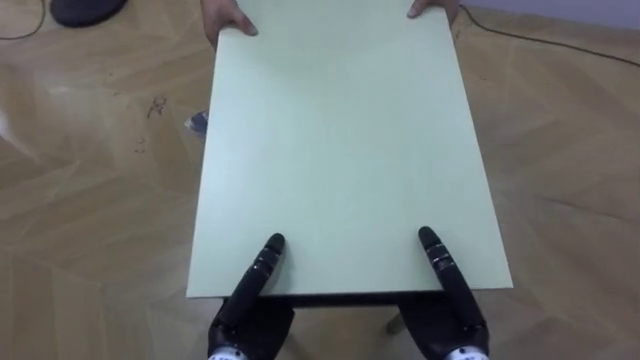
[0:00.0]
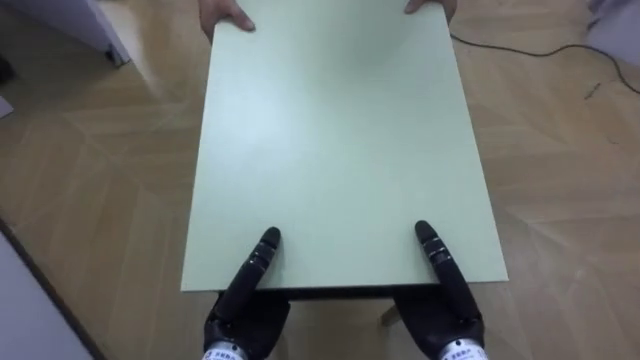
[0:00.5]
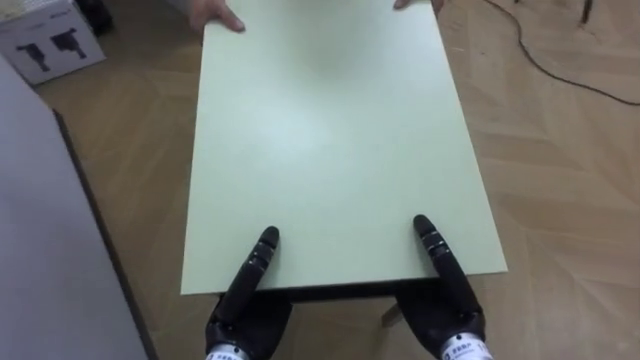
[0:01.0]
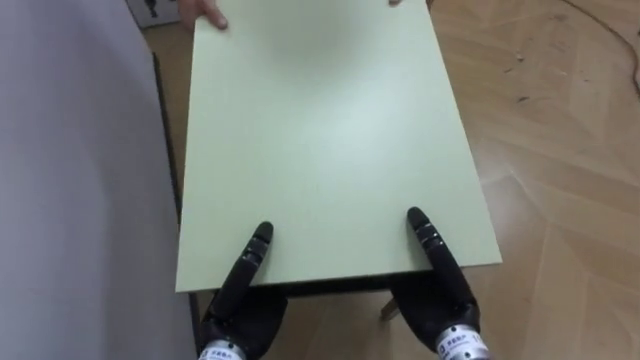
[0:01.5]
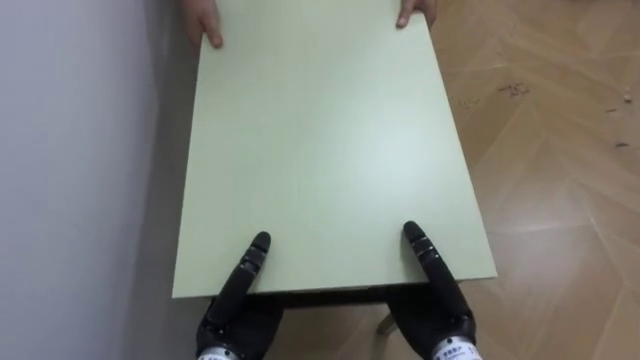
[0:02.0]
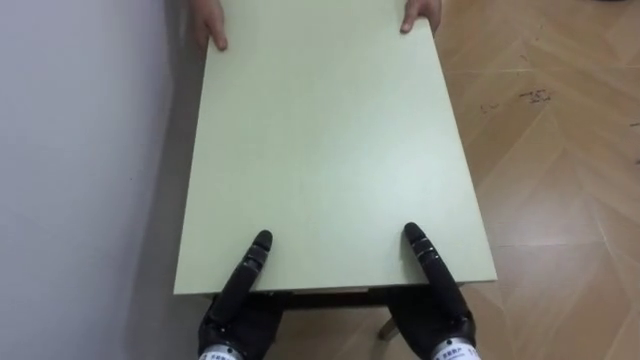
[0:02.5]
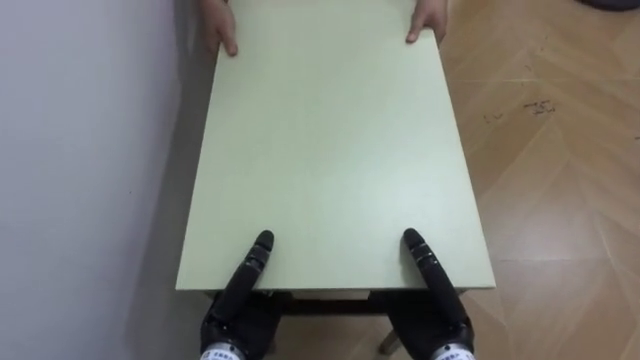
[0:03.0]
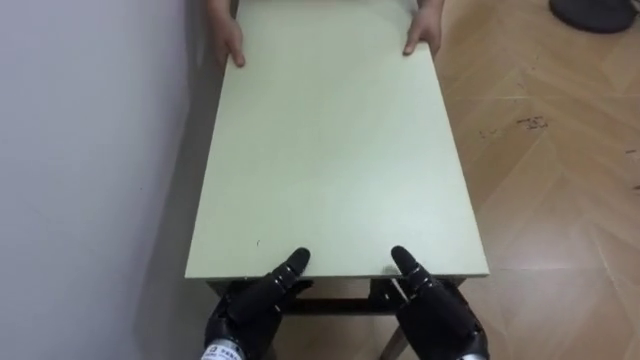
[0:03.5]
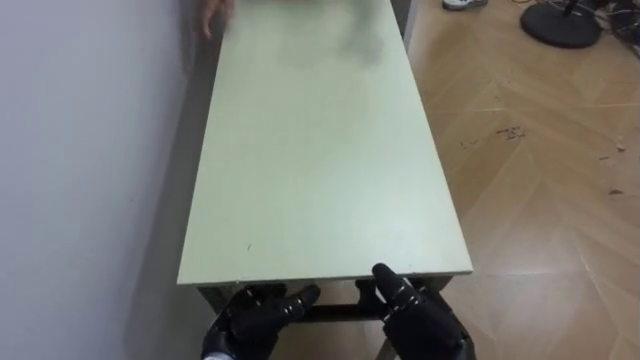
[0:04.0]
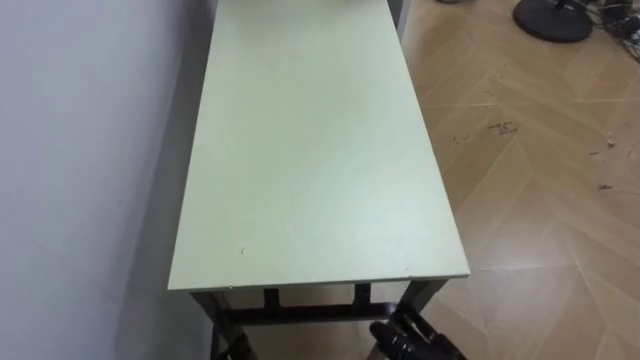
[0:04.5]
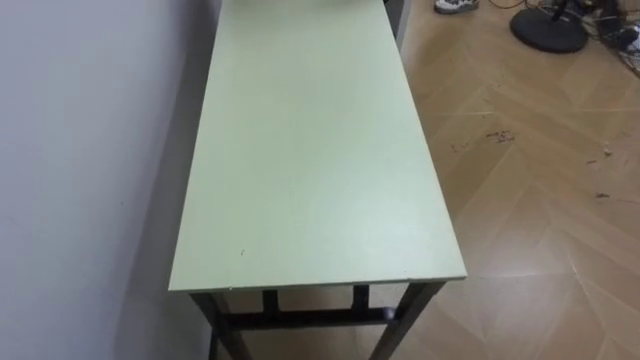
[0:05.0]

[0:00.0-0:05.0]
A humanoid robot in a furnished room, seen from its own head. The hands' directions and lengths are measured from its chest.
Task of the whole recording: Move the table to the back left with someone.
0:00.0 to 0:02.5: The robot's body swings about 65 degrees to its left.

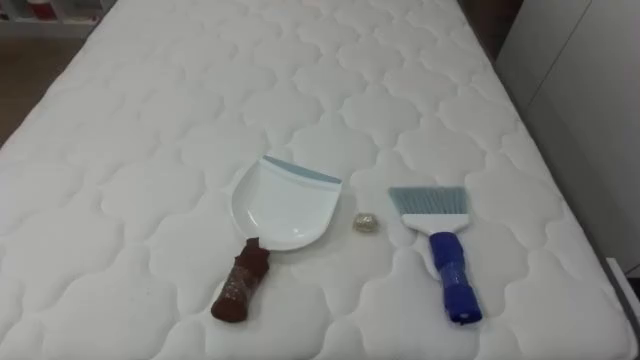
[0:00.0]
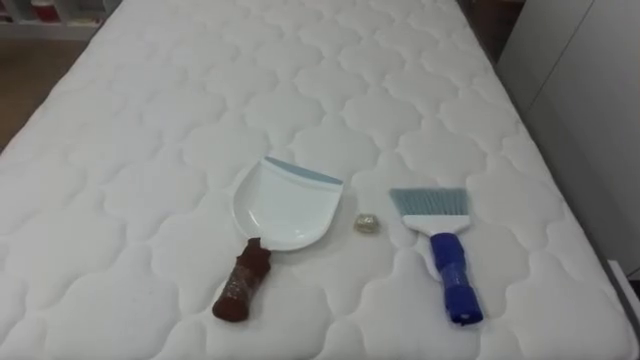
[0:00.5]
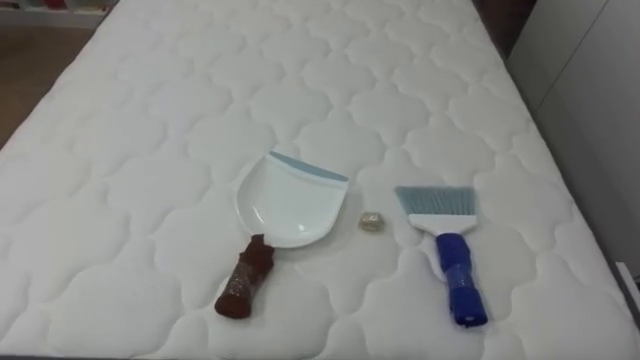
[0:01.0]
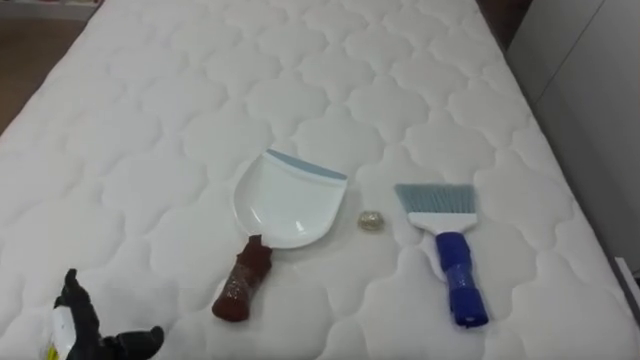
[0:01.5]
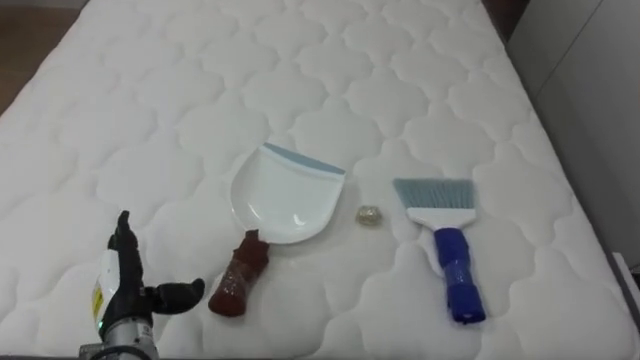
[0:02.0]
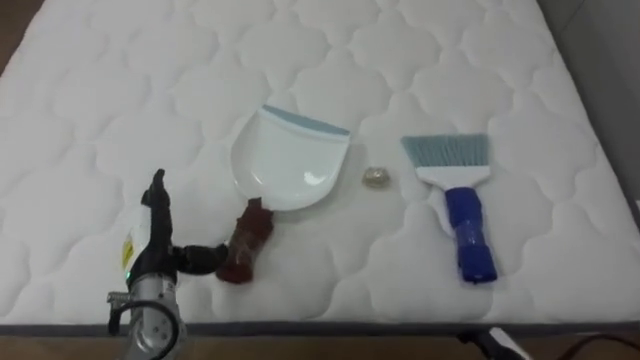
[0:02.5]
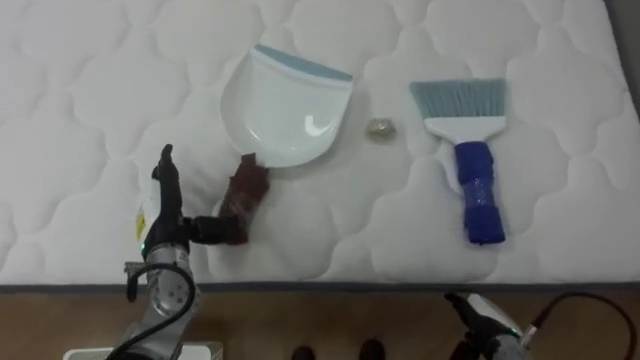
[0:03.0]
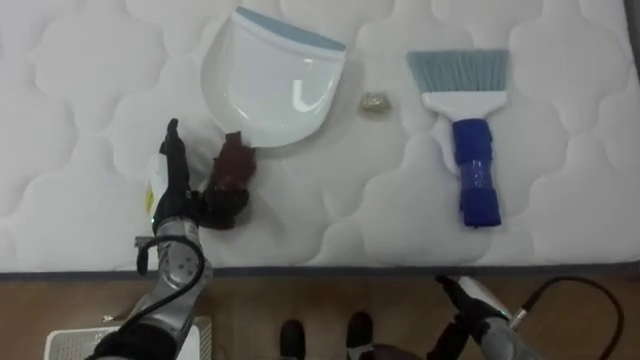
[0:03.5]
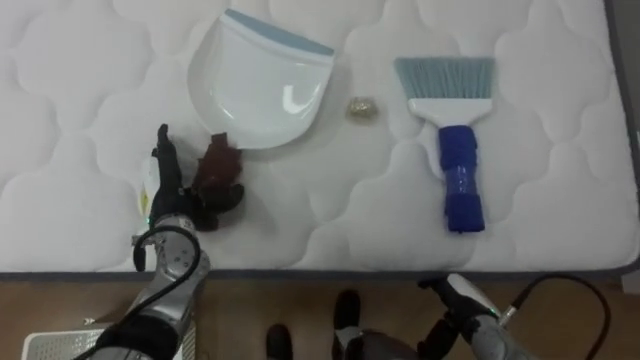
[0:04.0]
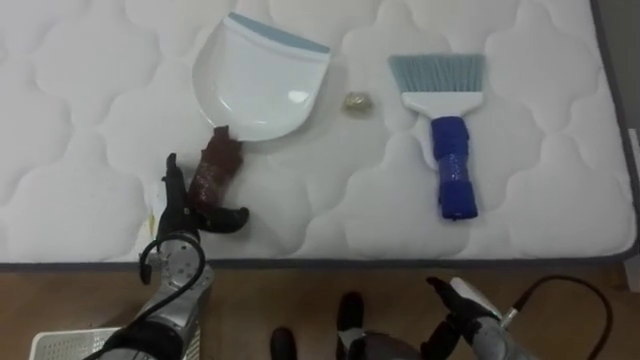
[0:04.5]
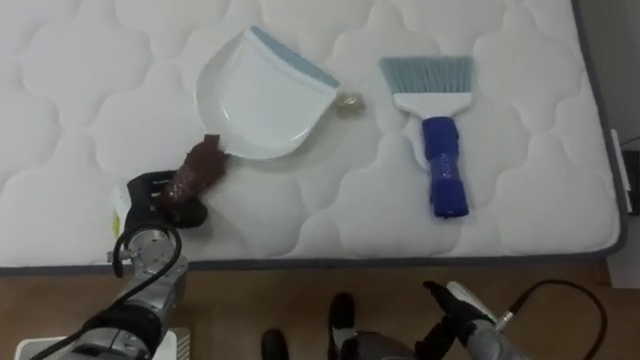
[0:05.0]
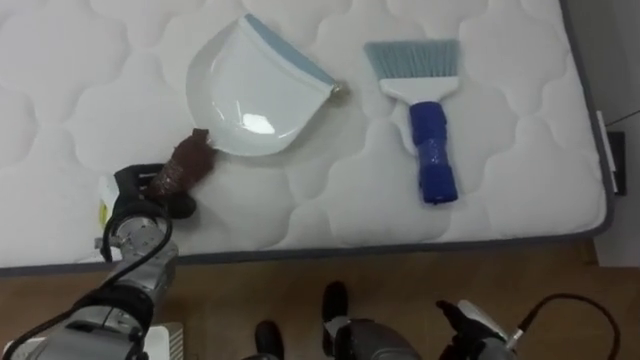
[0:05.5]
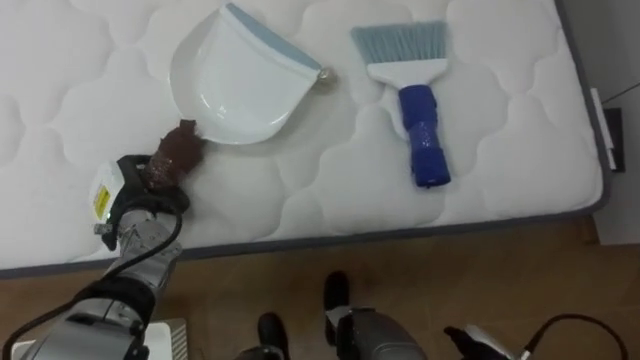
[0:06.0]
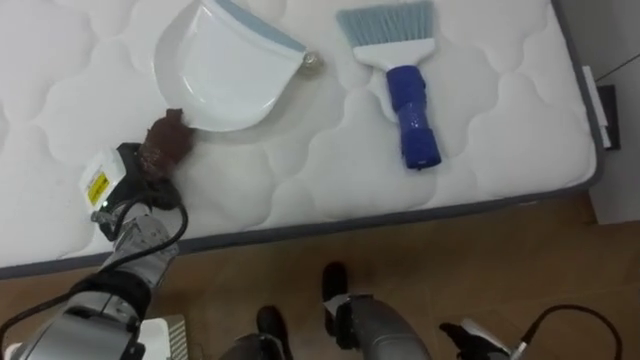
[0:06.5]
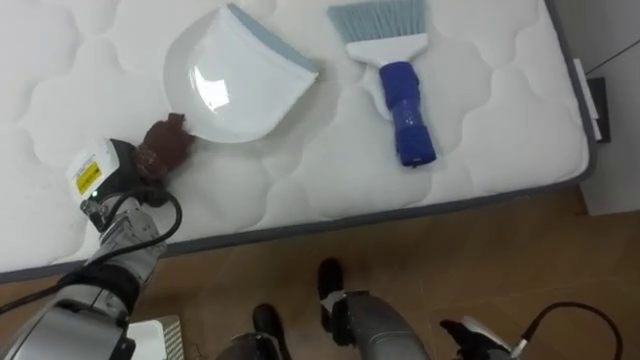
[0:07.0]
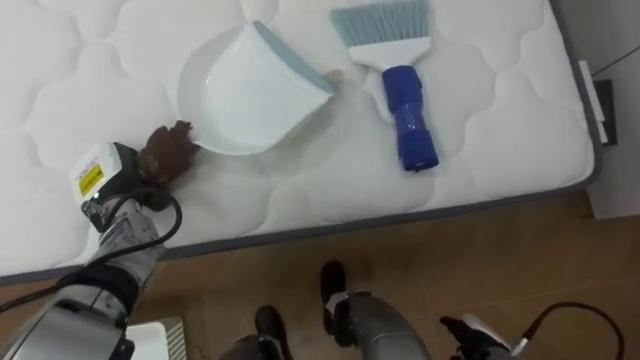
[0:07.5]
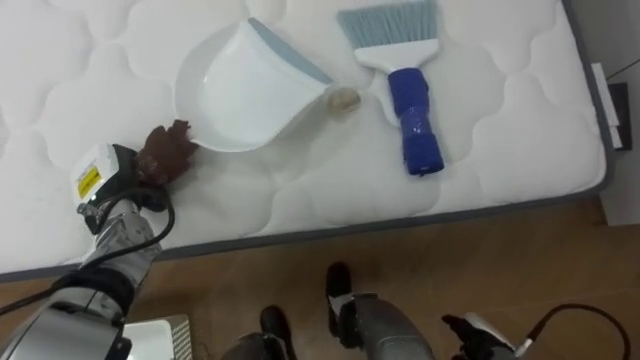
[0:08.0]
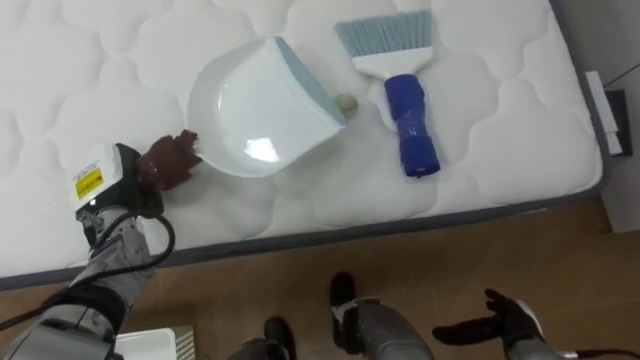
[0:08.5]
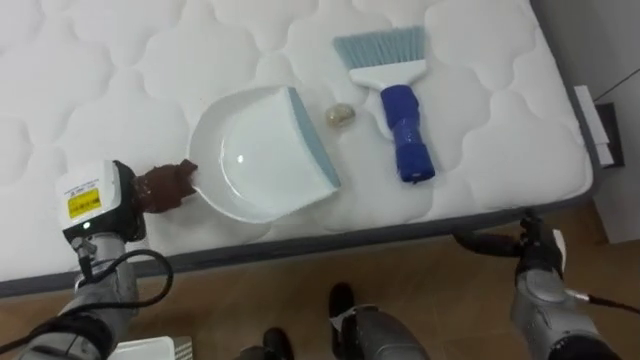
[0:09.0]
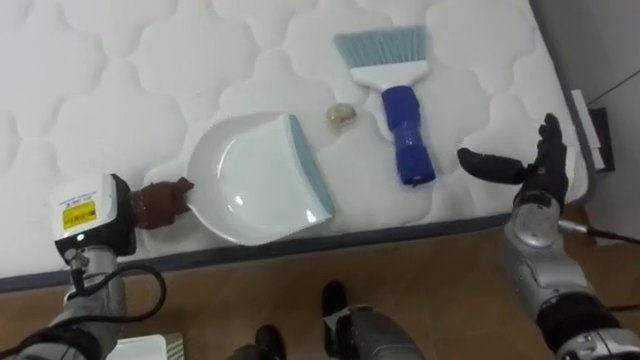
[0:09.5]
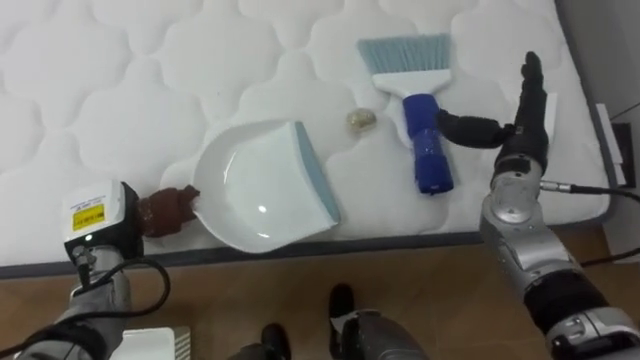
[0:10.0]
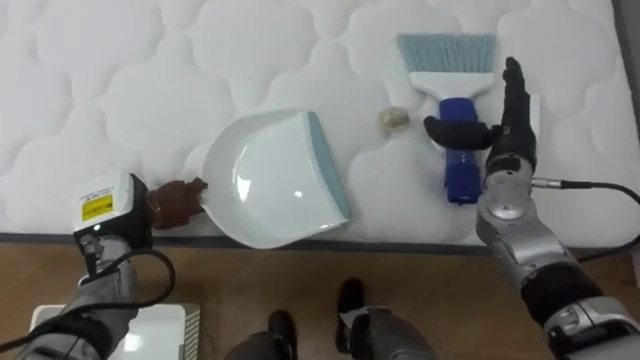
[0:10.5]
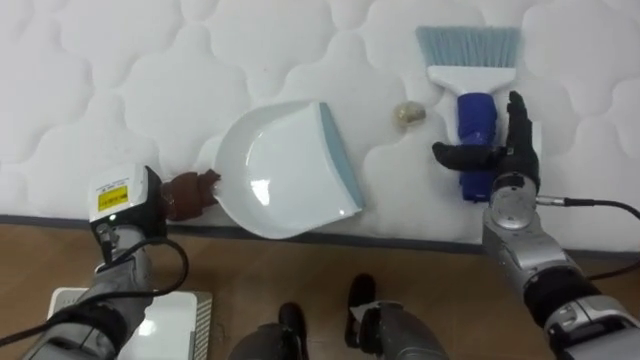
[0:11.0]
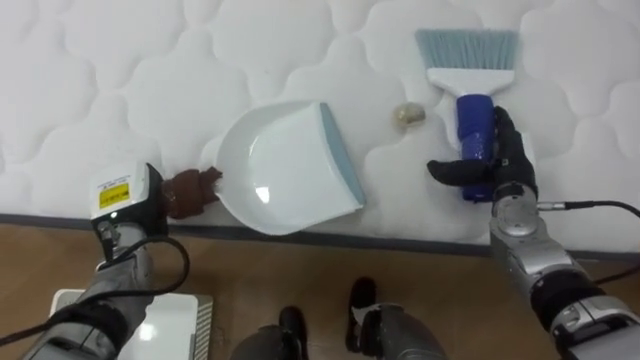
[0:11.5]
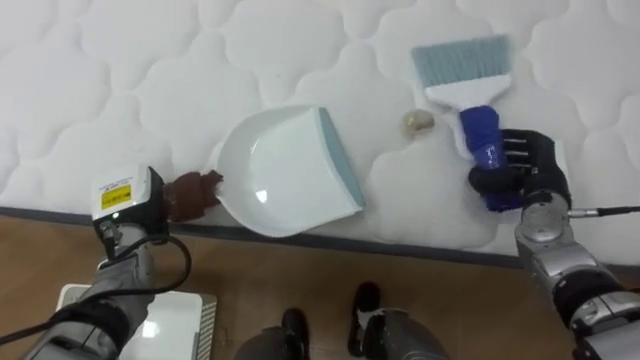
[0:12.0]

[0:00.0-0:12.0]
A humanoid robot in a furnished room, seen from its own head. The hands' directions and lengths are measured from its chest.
Task of the whole recording: Pick up the brush on your right and the dustpan on your left. Use the brush to sweep the crumpled paper on the bed into the dustpan, then turn left and empty it into the basket.
0:02.0 to 0:04.0: The left hand moves forward, to the right and upward, about 15 cm.
0:04.0 to 0:06.0: The left hand goes about 5 cm to the left, and closes and opens again.
0:06.0 to 0:08.0: The left hand closes.
0:08.0 to 0:10.0: The left hand changes place by about 5 cm; the right hand moves upward and forward, approximately 30 cm.
0:10.0 to 0:12.0: The right hand goes roughly 10 cm downward, and closes up.

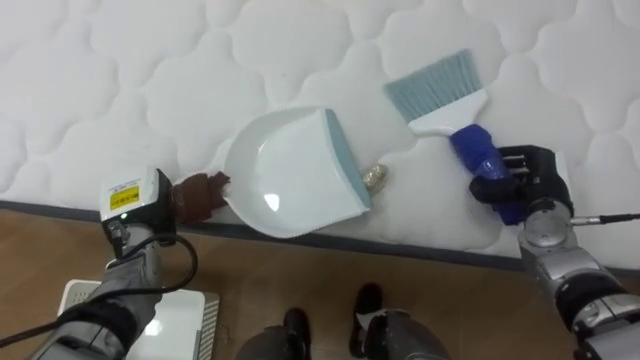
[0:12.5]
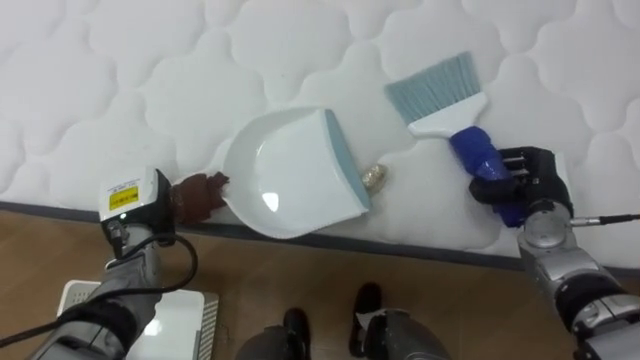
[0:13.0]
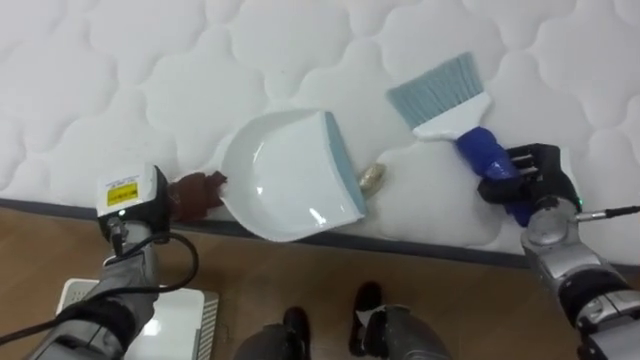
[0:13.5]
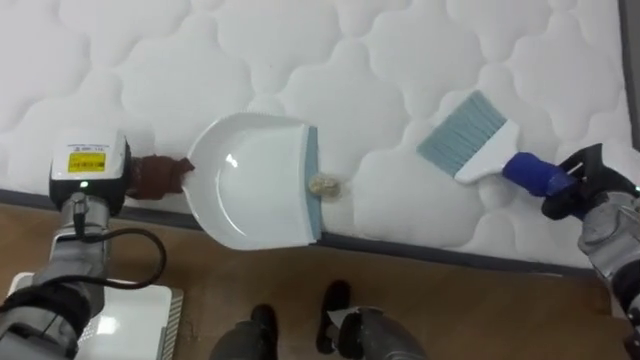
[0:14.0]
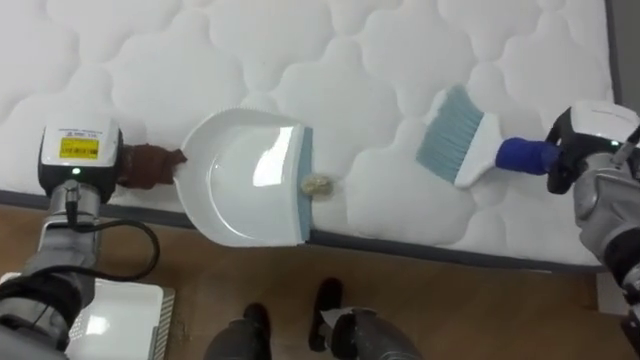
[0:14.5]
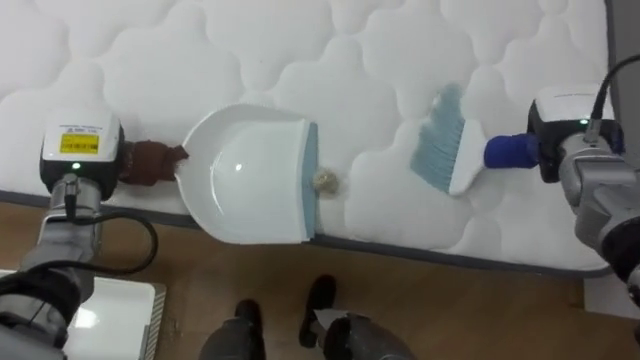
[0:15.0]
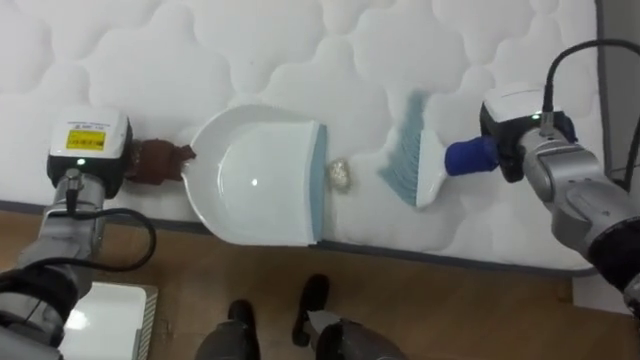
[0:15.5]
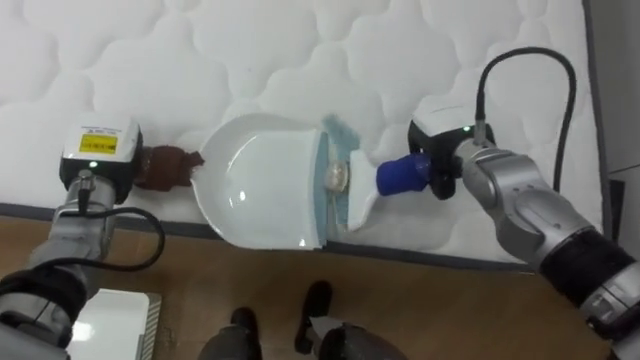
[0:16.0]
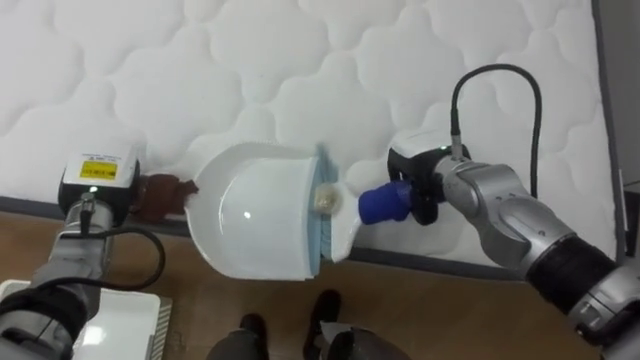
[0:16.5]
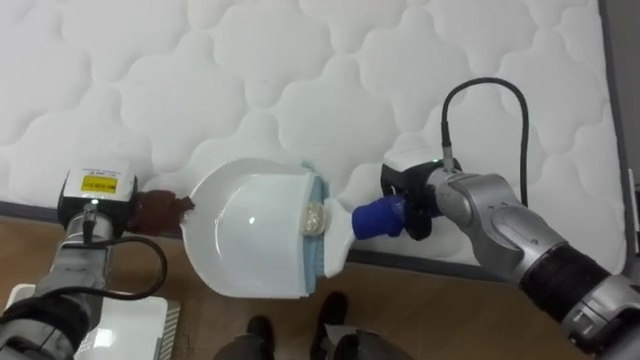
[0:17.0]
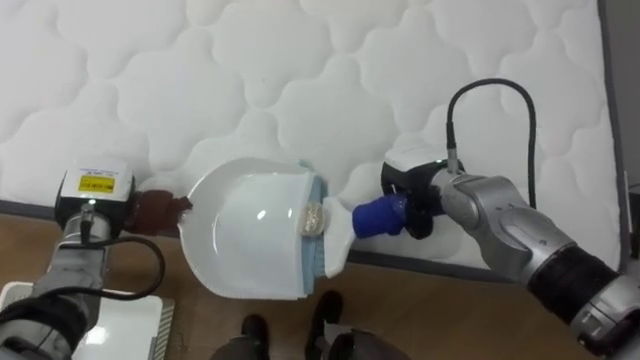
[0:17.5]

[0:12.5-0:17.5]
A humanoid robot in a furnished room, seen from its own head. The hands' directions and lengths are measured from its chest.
Task of the whole recording: Pick up the brush on your right and the dustpan on your left. Use the brush to sweep the crumpled paper on the bed into the dustpan, then turn left and empty it into the basket.
0:12.5 to 0:15.0: The left hand moves upward, roughly 10 cm, while the right hand moves upward and forward, approximately 10 cm.
0:15.0 to 0:17.5: The left hand travels downward by approximately 5 cm, while the right hand moves to the left, some 20 cm.
